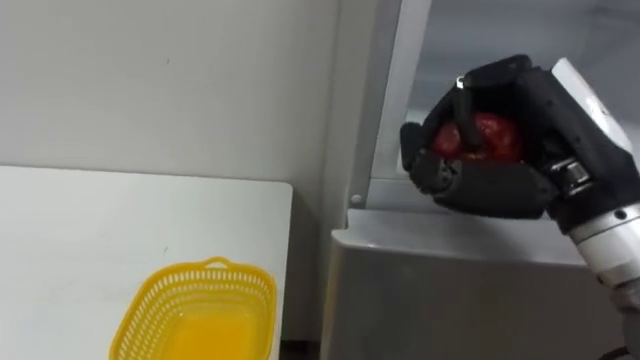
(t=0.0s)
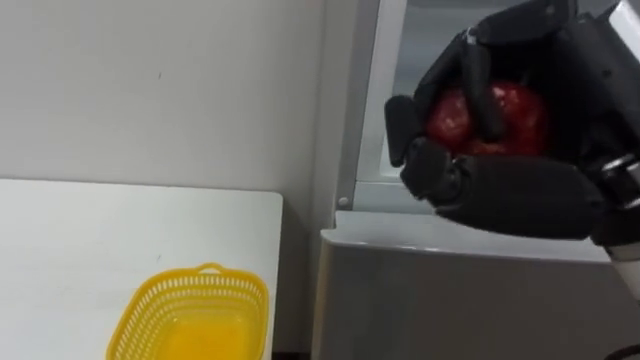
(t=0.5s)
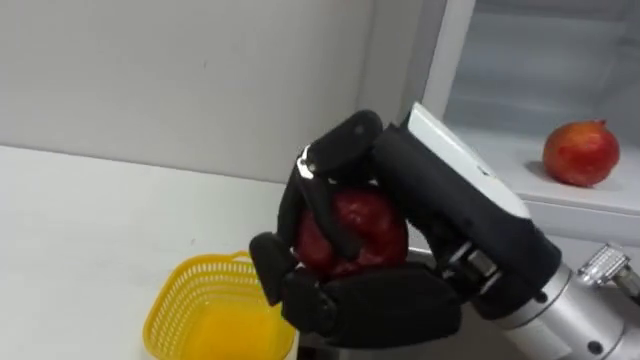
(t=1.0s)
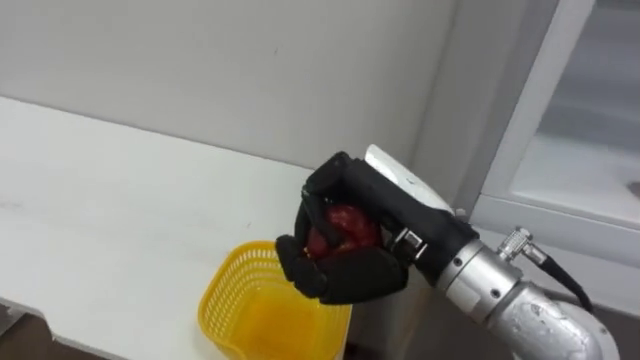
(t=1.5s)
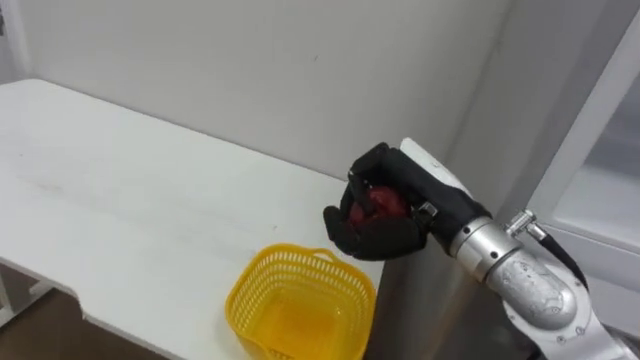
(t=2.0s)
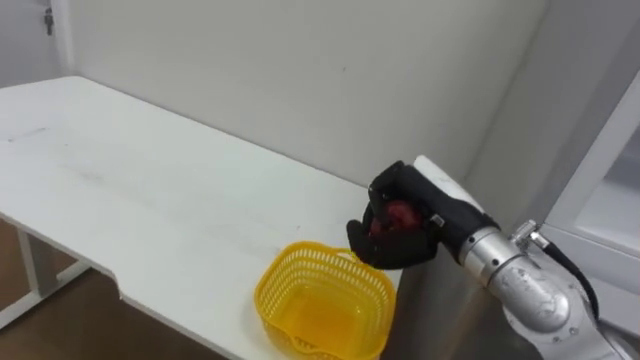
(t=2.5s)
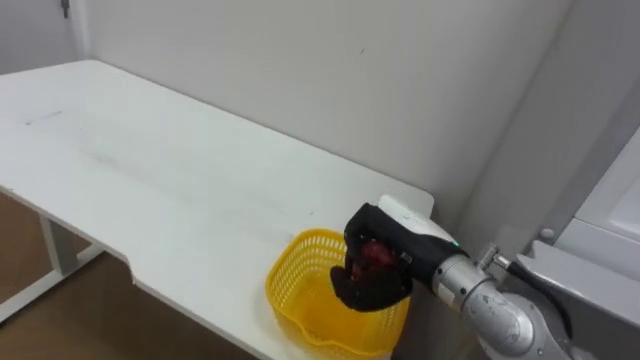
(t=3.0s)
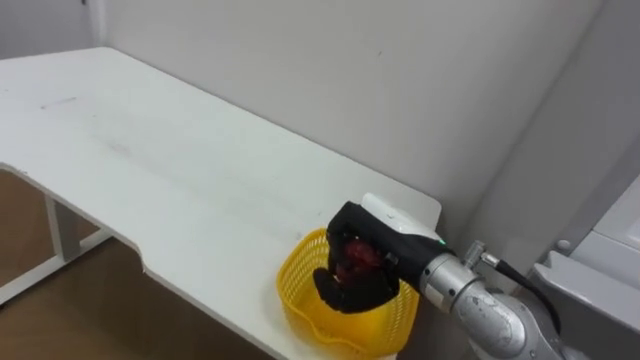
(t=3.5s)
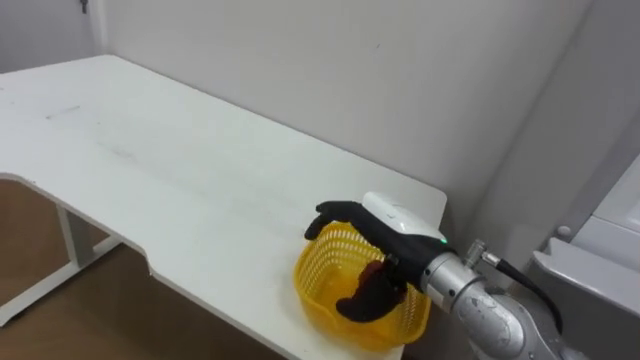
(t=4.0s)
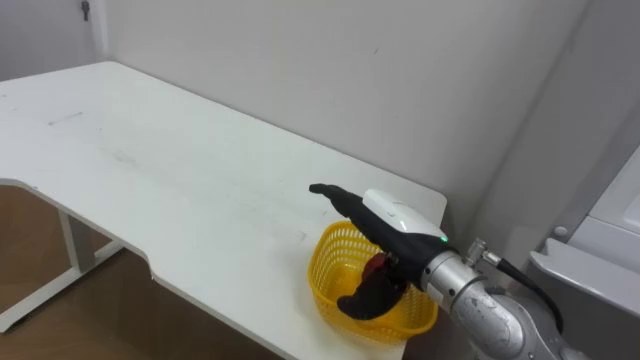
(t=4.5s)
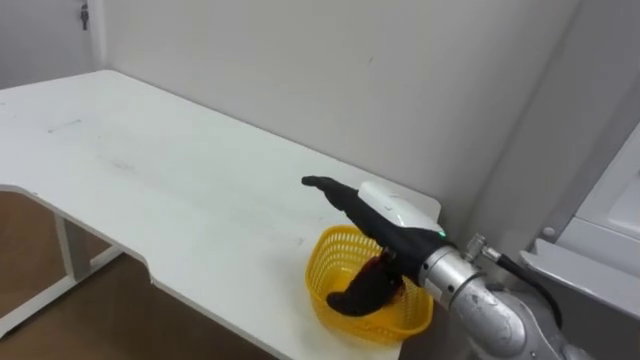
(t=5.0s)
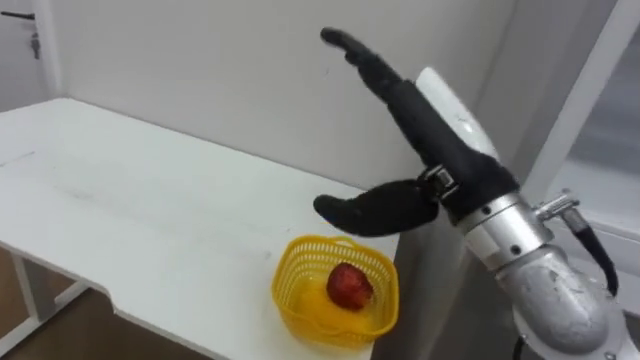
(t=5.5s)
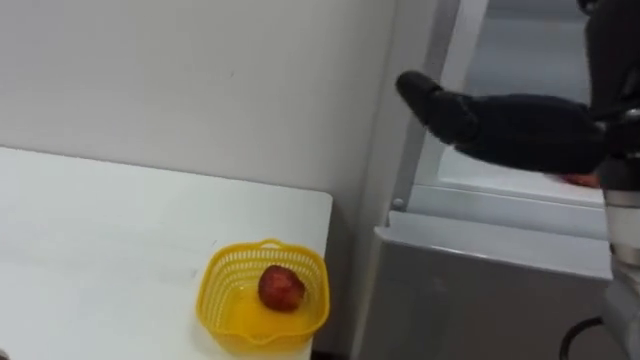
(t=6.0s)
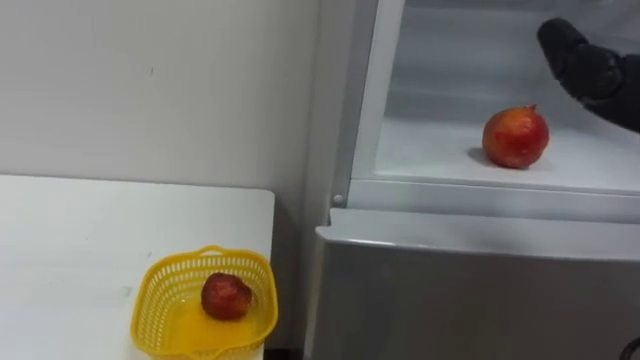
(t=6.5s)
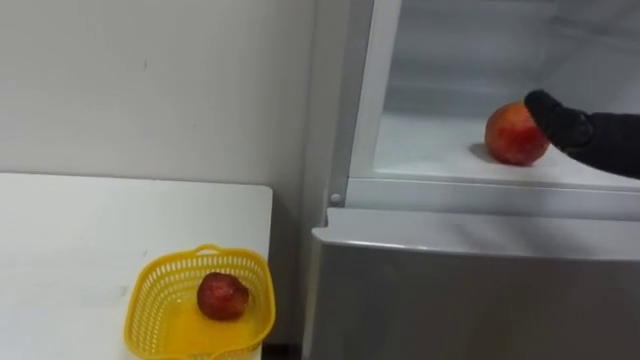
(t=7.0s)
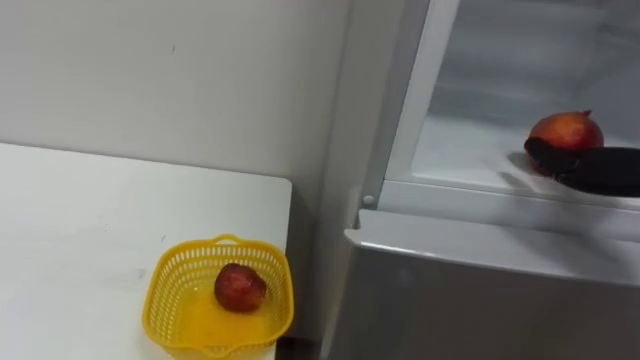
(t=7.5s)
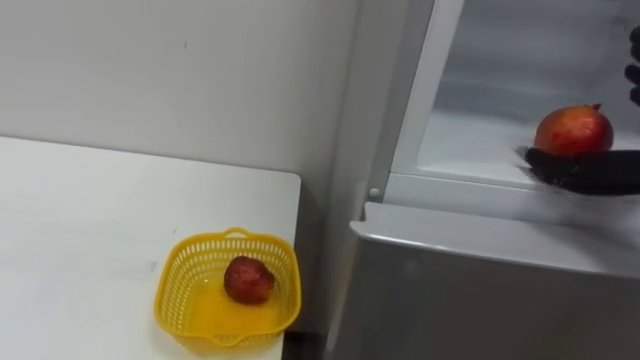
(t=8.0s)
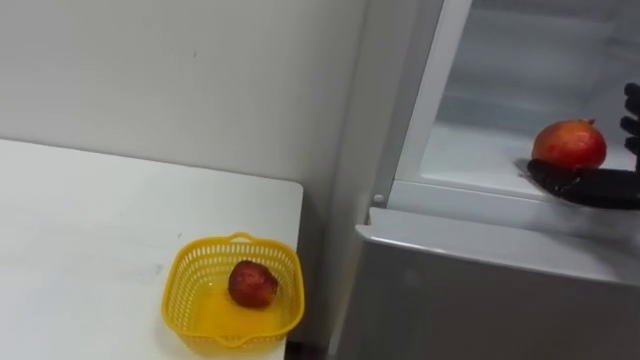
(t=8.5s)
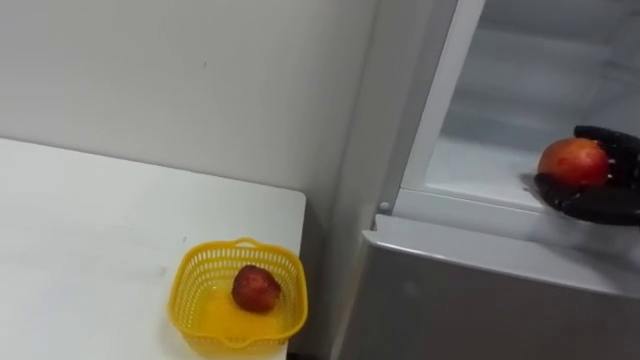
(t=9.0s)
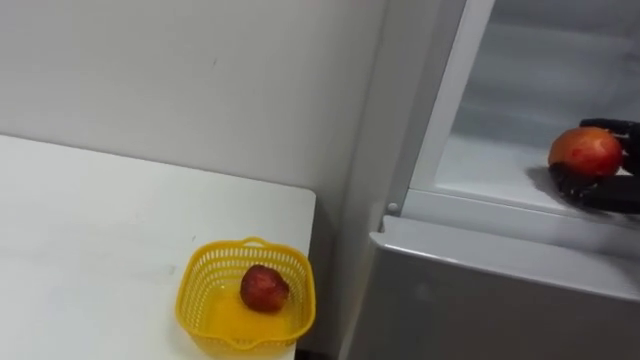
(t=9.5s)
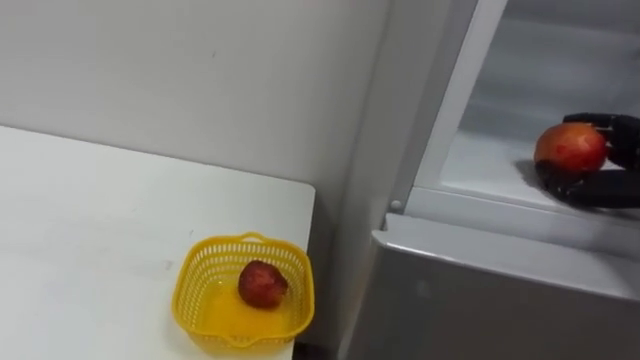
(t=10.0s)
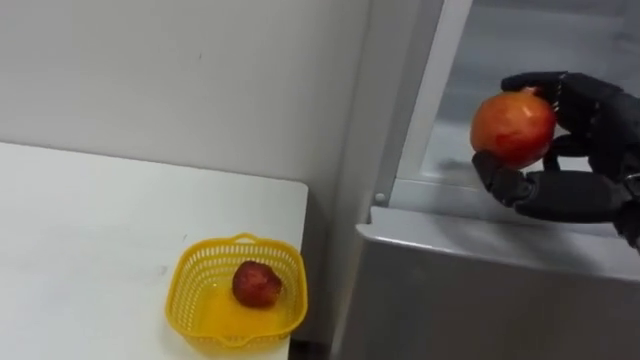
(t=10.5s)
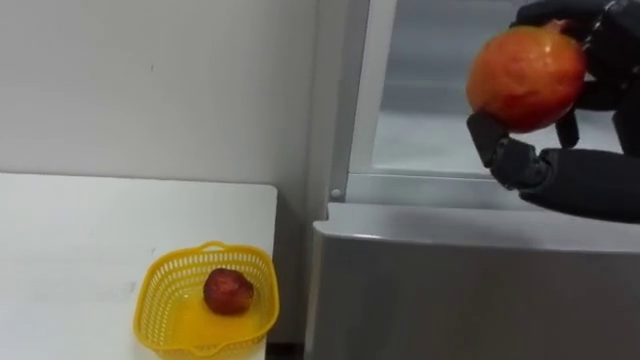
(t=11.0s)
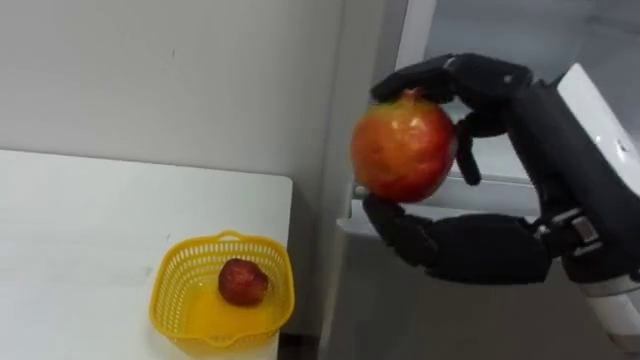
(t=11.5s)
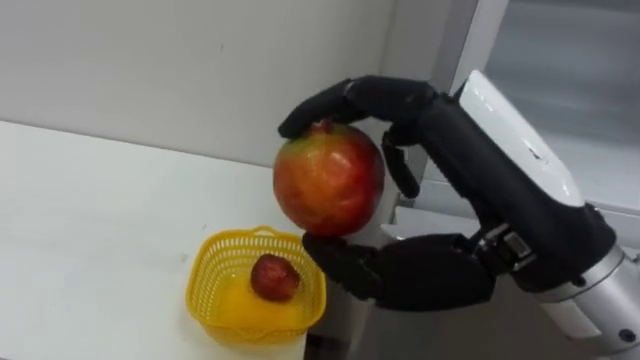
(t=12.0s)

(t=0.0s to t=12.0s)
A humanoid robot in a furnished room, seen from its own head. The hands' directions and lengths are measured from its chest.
Task of the whole recording: Open the refrigerator door, take out the apple and the pomegranate, place them in the fruit basket on the left, and close the refrigerator door.
t=0.0s - t=2.0s: The right hand is displaced to the left, downward and forward by some 15 cm.
t=2.0s - t=4.0s: The right hand heads downward, covering about 5 cm, and opens up.
t=4.0s - t=6.0s: The right hand is displaced upward, backward and to the right by approximately 25 cm.

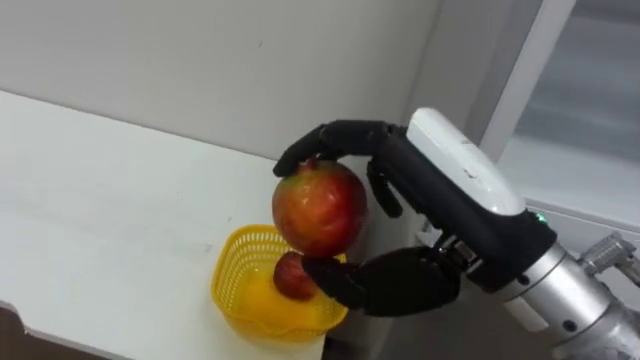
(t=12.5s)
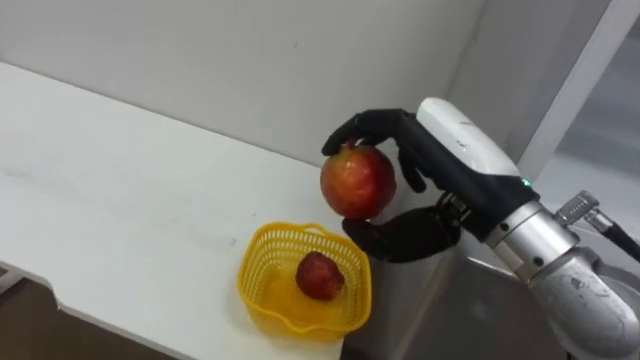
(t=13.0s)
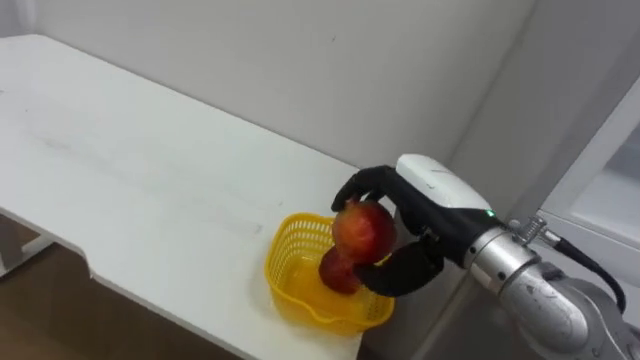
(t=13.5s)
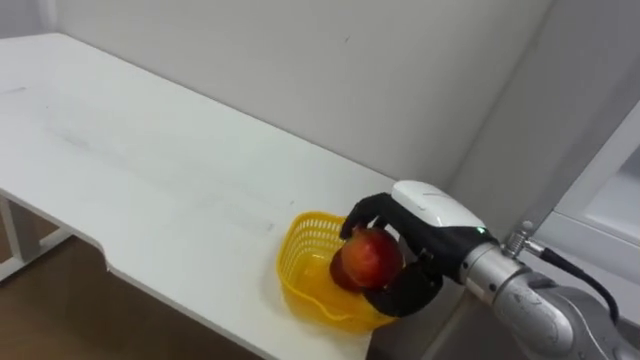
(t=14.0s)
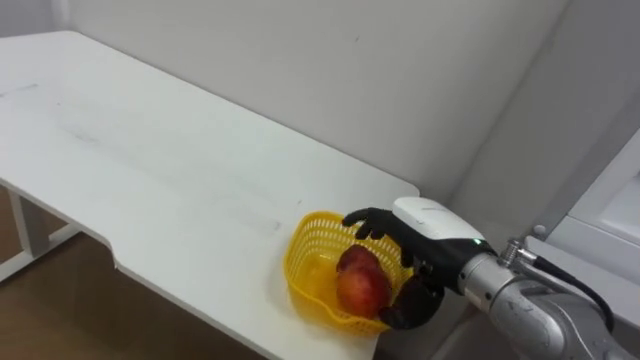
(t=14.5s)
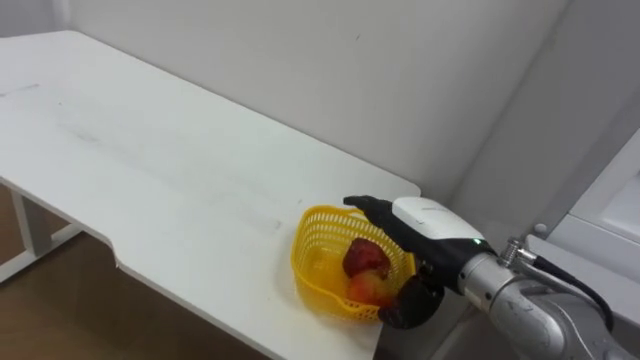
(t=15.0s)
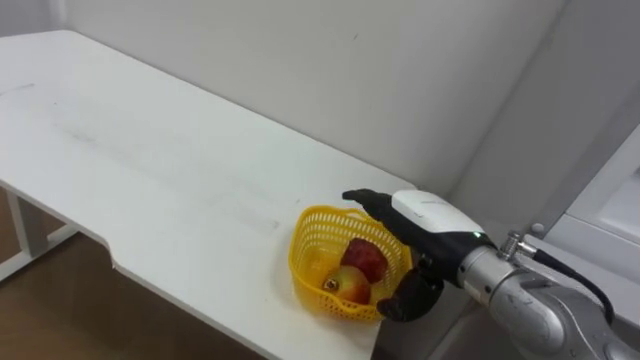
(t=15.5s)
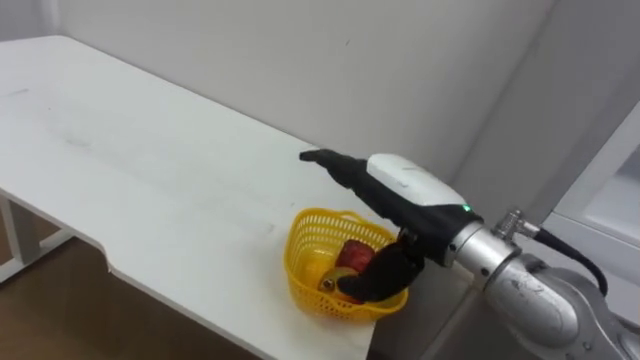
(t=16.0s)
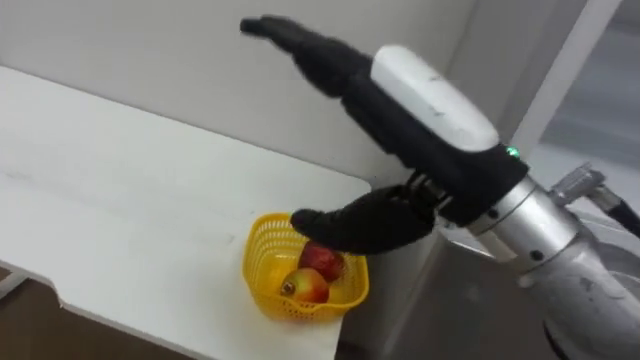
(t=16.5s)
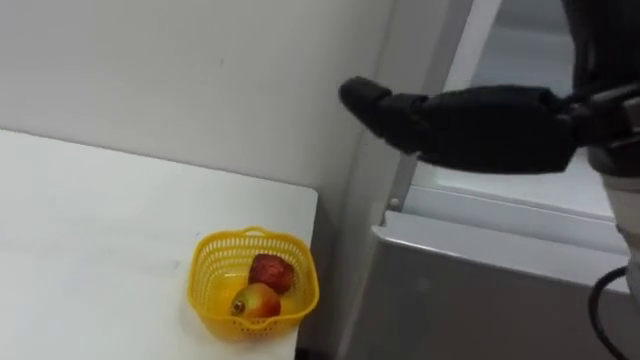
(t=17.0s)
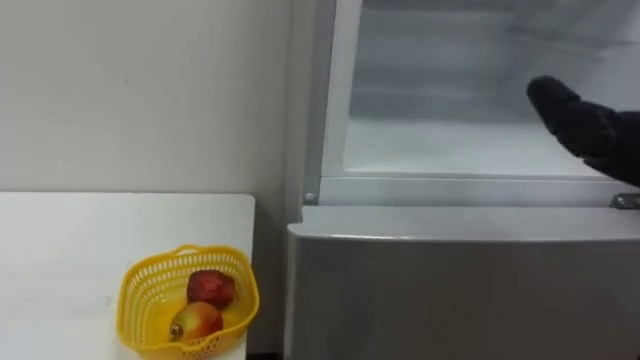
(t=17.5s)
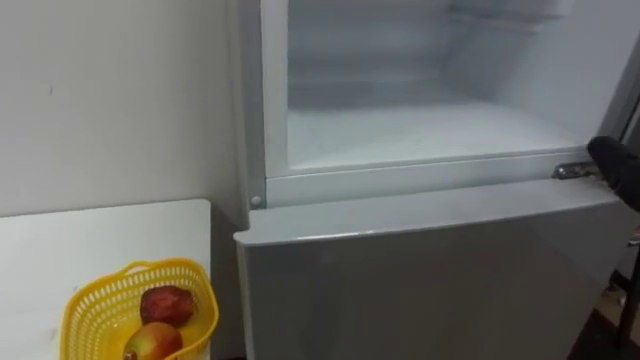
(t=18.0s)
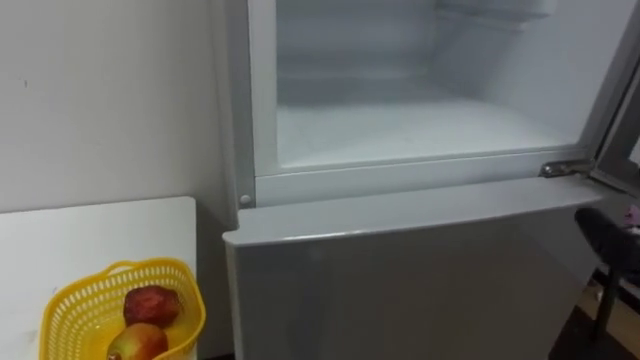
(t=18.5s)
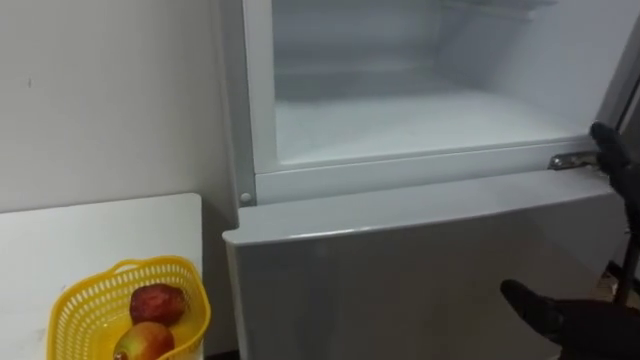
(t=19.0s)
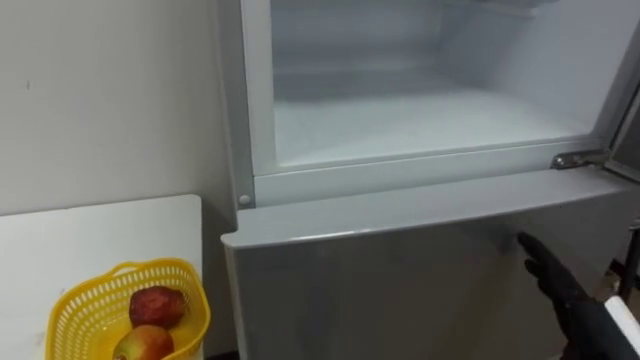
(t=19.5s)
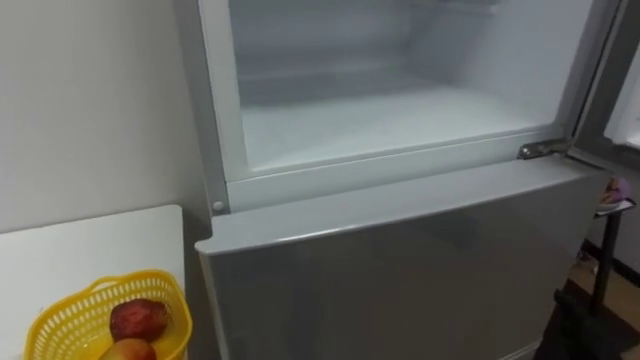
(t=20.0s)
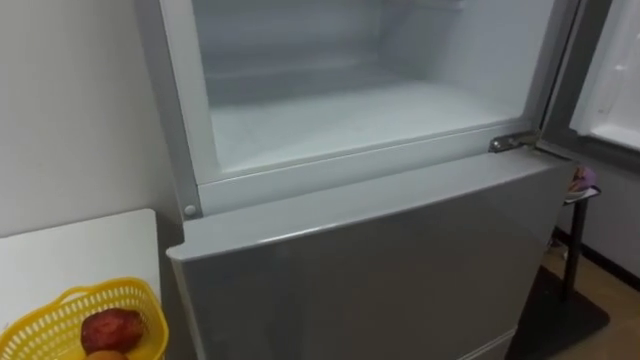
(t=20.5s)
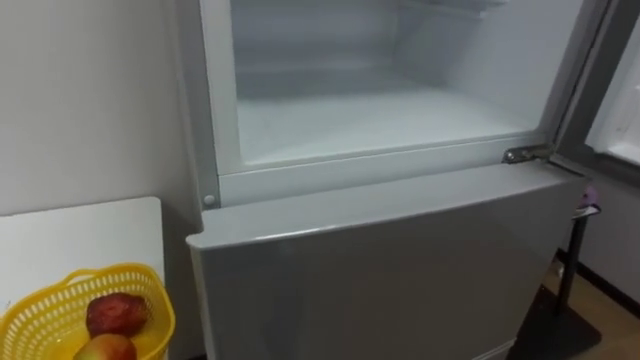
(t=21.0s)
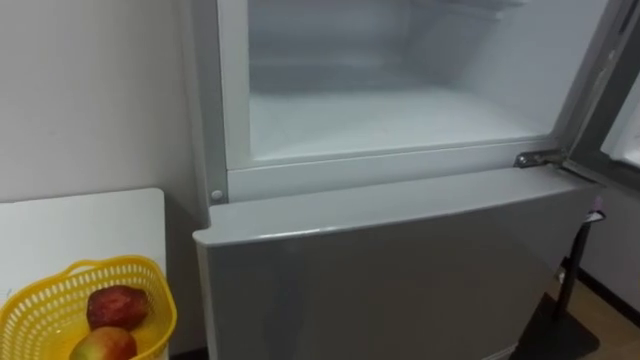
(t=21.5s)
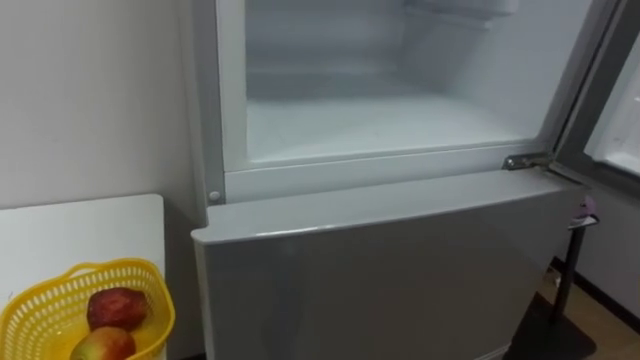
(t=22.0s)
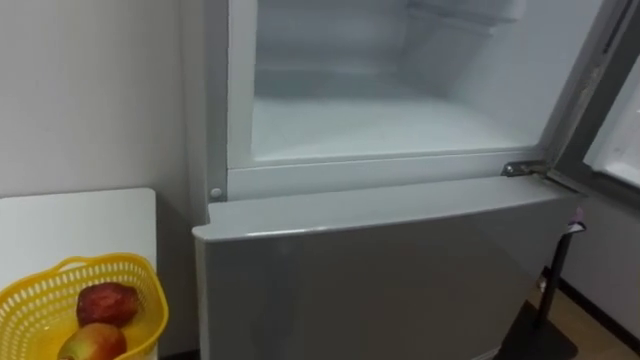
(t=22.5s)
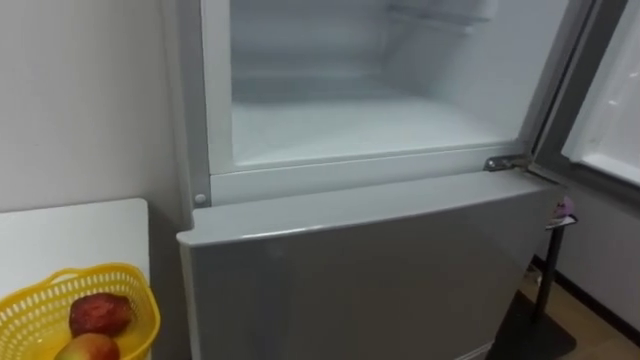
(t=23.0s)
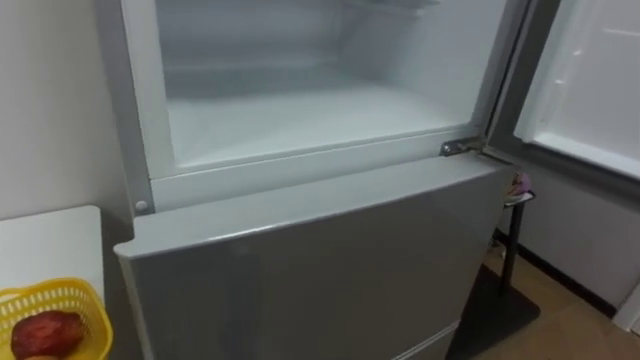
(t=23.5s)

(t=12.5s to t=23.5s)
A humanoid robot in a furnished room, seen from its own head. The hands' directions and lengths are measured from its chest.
Task of the whole recording: Open the refrigerator door, take out the apple and the pomegranate, place them in the fruit basket on the left, and close the refrigerator door.
t=12.5s - t=14.5s: The right hand is displaced downward and forward by approximately 15 cm.
t=14.5s - t=16.0s: The right hand shifts some 5 cm upward, and opens up.
